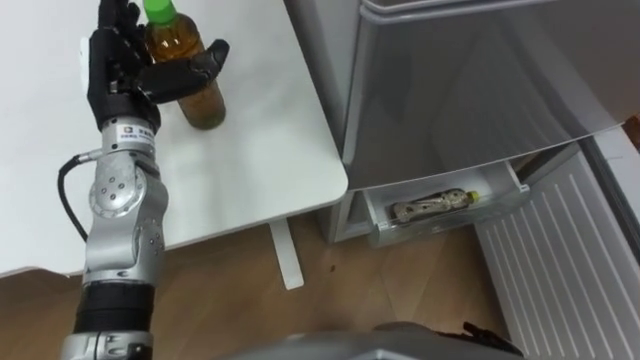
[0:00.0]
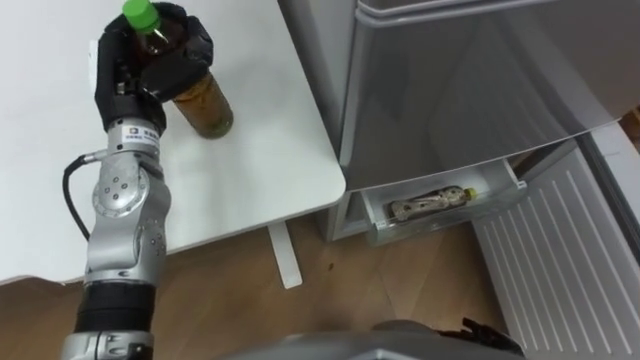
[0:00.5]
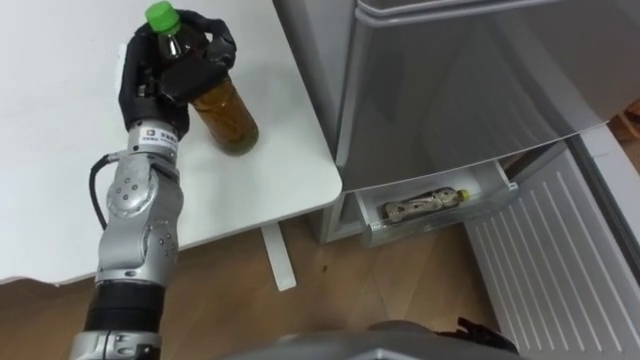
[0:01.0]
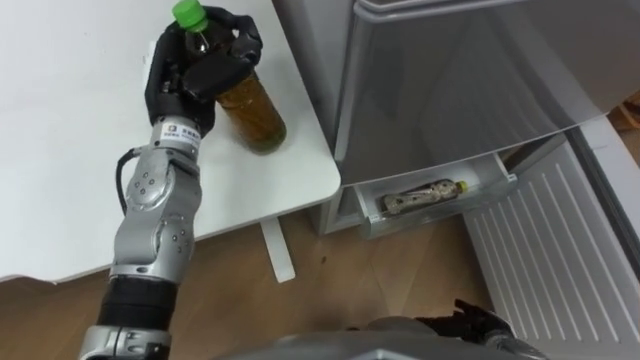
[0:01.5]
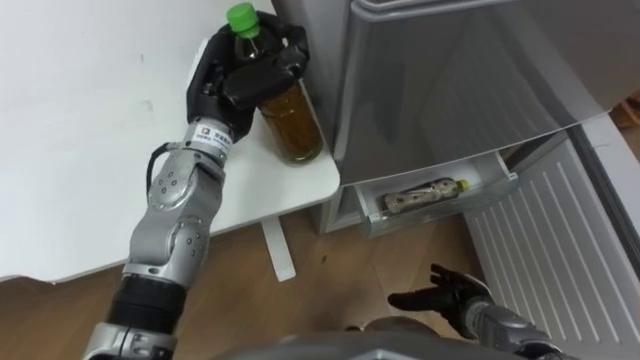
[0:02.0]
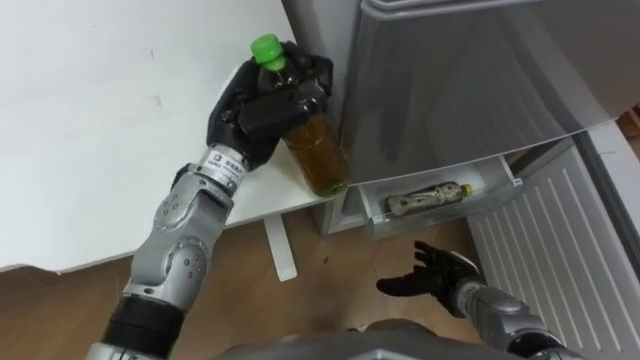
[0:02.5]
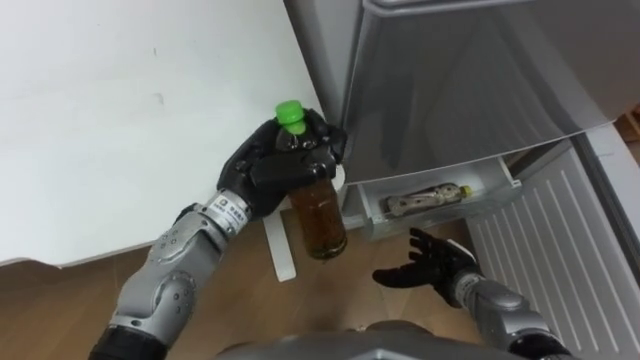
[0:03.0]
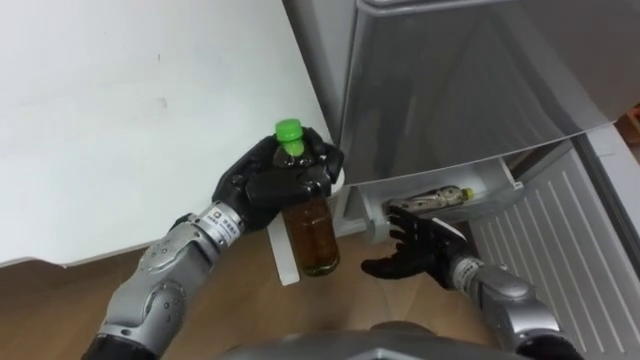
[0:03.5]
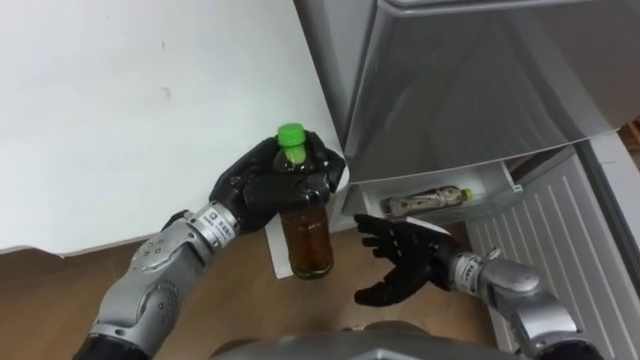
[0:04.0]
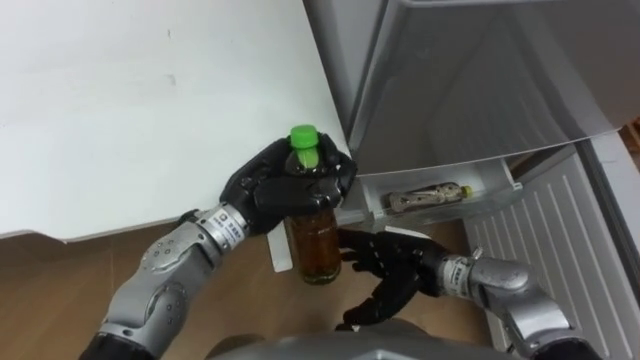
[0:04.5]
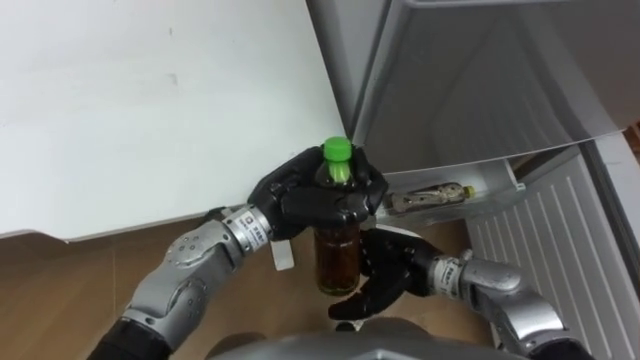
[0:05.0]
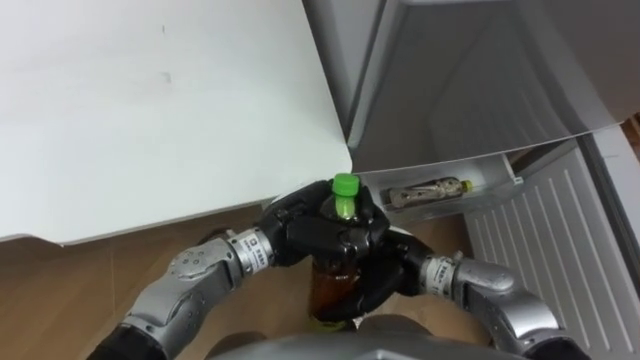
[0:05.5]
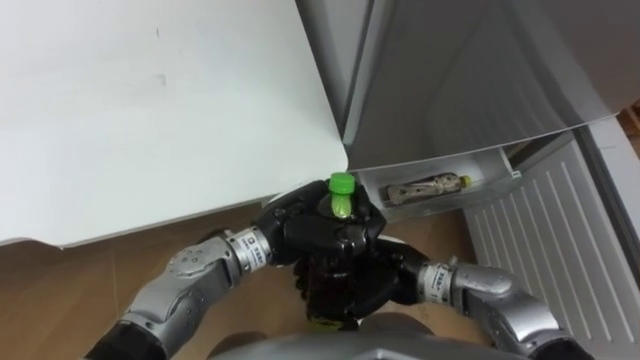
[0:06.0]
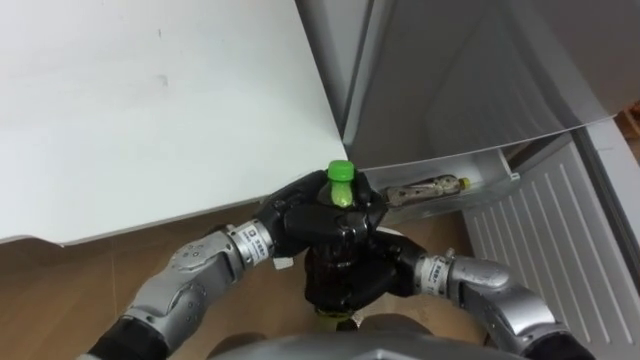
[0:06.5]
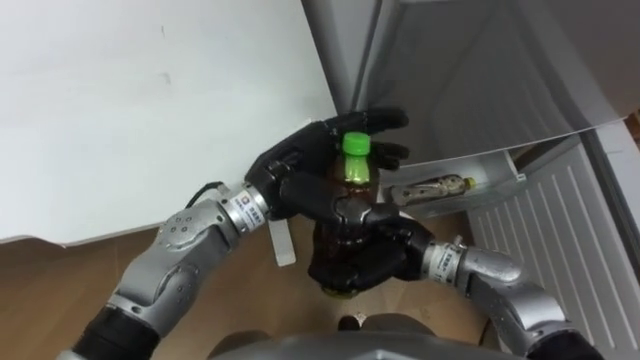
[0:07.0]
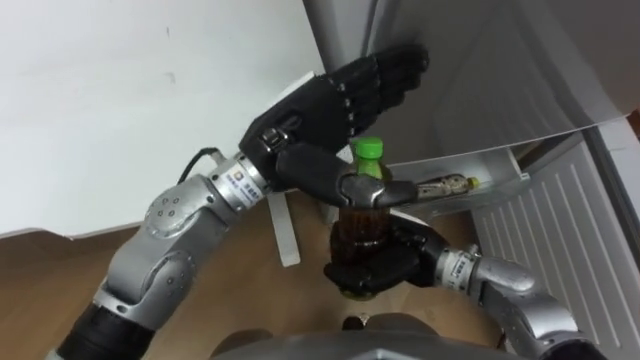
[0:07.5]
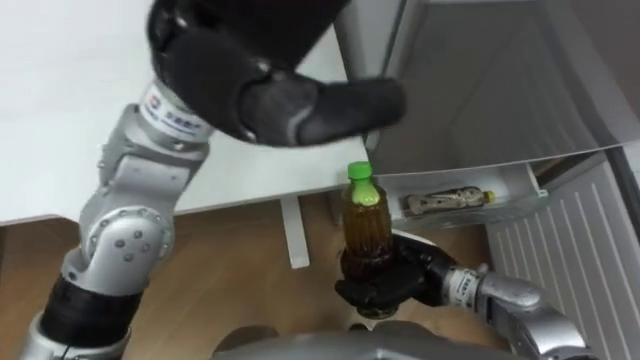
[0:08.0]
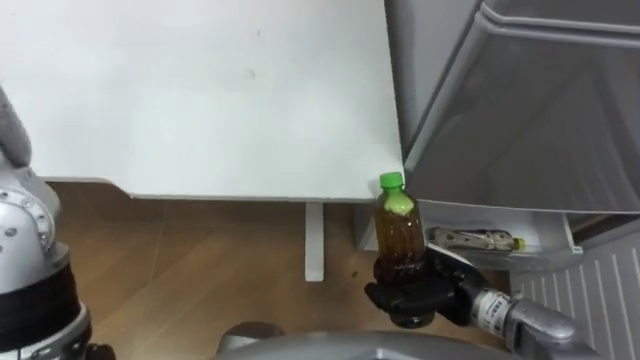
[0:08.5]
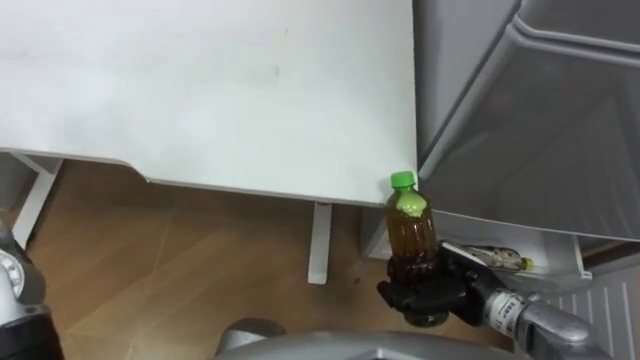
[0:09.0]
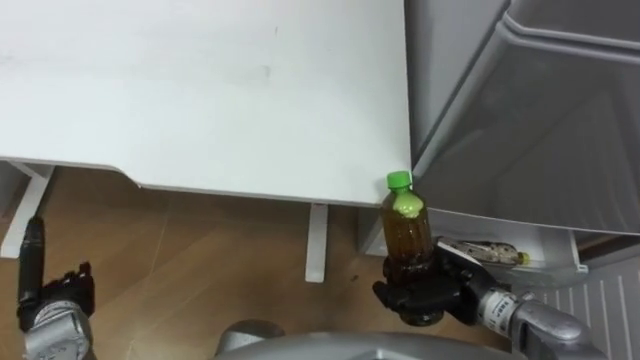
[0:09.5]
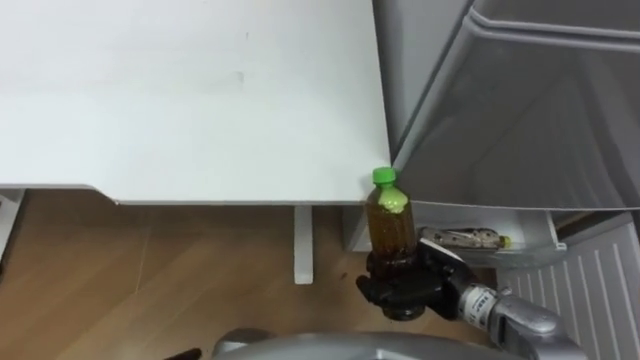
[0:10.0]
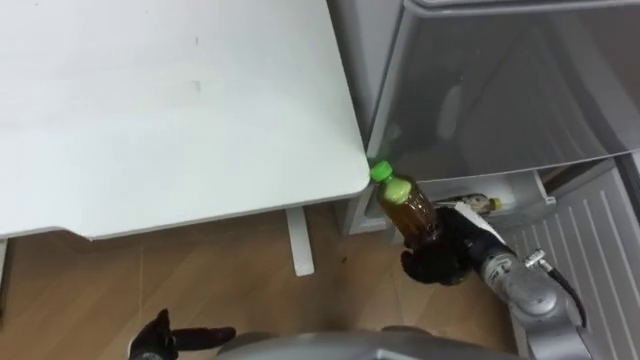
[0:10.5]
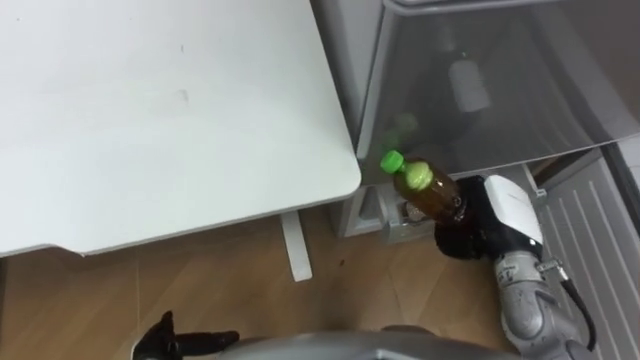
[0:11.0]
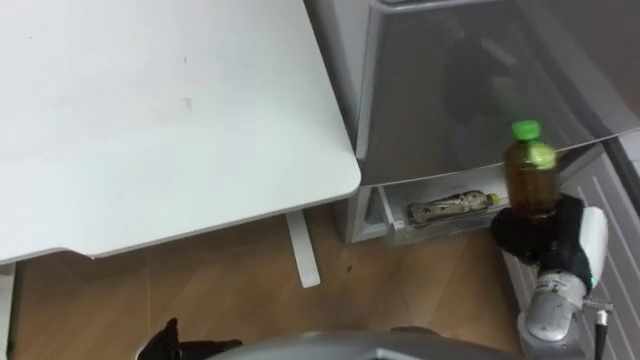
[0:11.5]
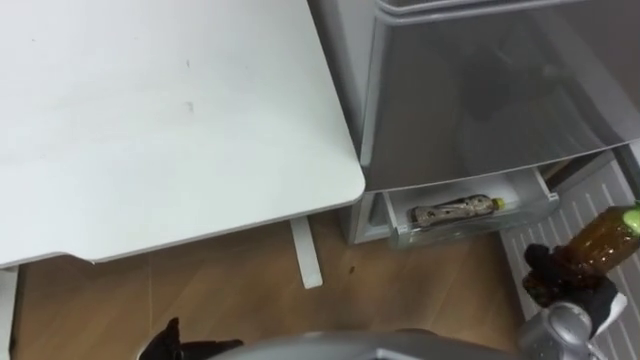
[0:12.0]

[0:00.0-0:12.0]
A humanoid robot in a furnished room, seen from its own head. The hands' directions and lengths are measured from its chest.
Task of the whole recording: Place the drink on the table on the bottom shelf of the refrigerator, then close the drawer and the refrigerator door.
0:00.0 to 0:02.0: The left hand heads to the right, covering some 10 cm, and closes its fingers.
0:02.0 to 0:04.0: The right hand heads upward, to the left and forward, covering roughly 15 cm; the left hand is displaced backward and downward by roughly 10 cm.
0:04.0 to 0:06.0: The right hand goes some 5 cm to the left, and closes. Meanwhile the left hand travels to the right by roughly 5 cm.
0:06.0 to 0:08.0: The left hand heads upward, covering roughly 30 cm, and opens.
0:10.0 to 0:12.0: The right hand travels to the right by about 20 cm.

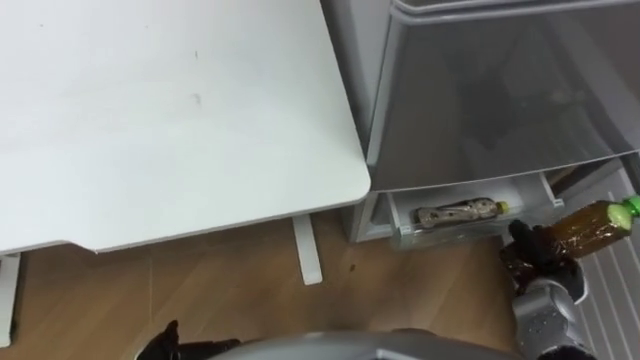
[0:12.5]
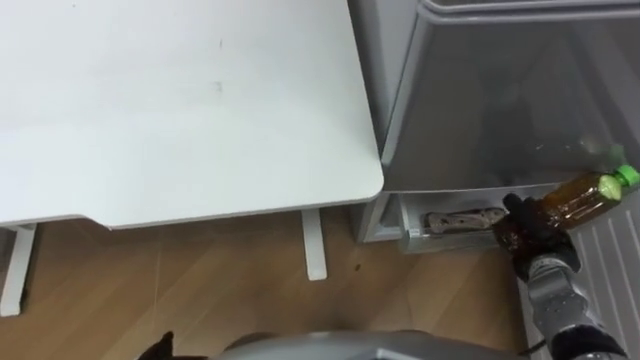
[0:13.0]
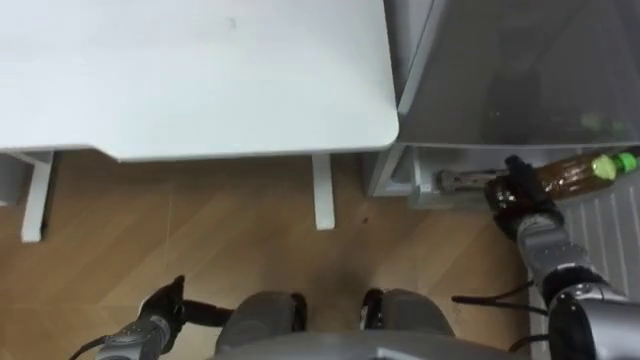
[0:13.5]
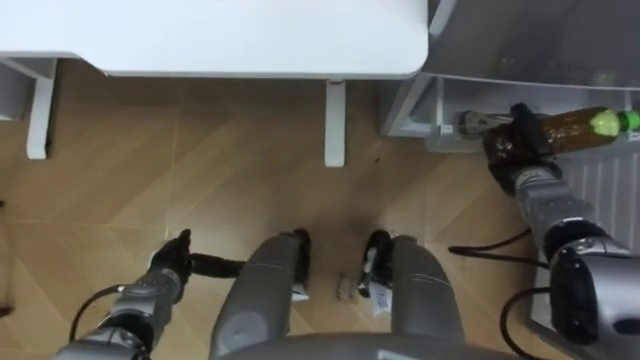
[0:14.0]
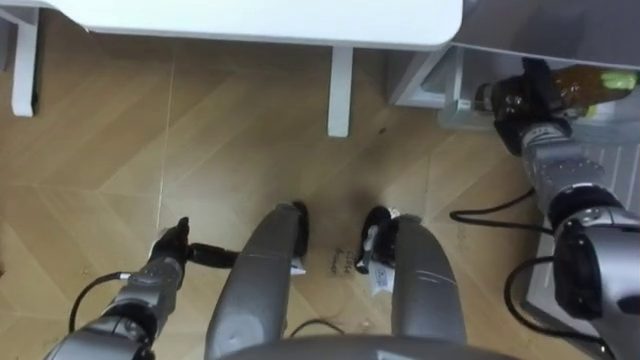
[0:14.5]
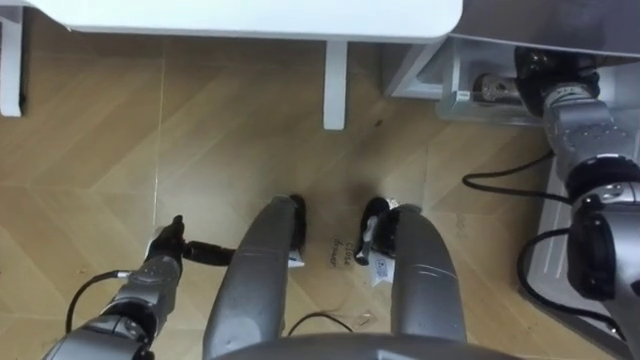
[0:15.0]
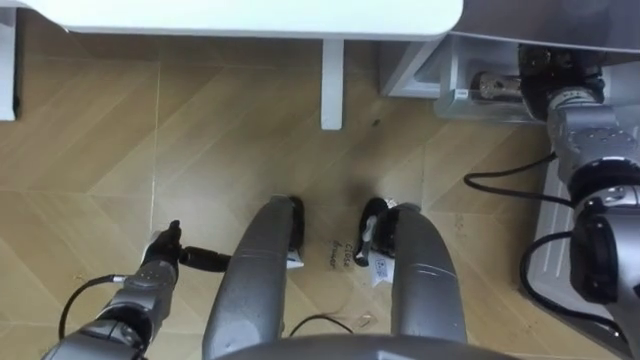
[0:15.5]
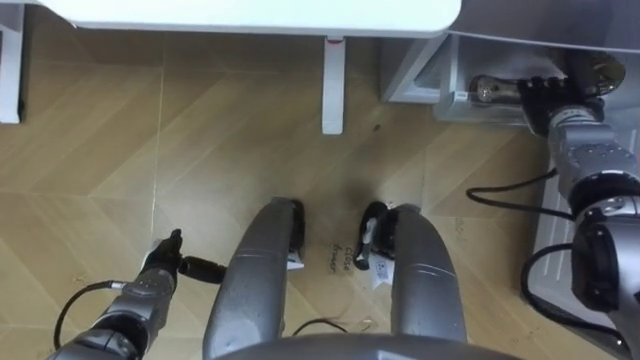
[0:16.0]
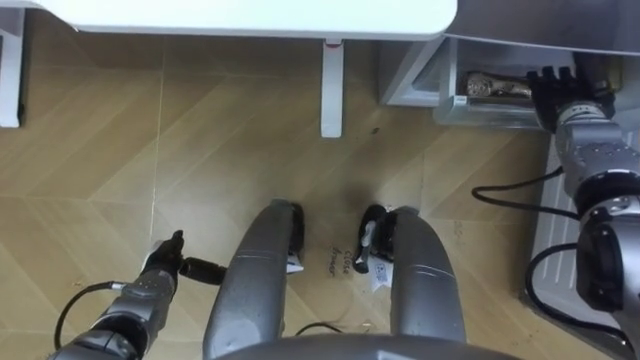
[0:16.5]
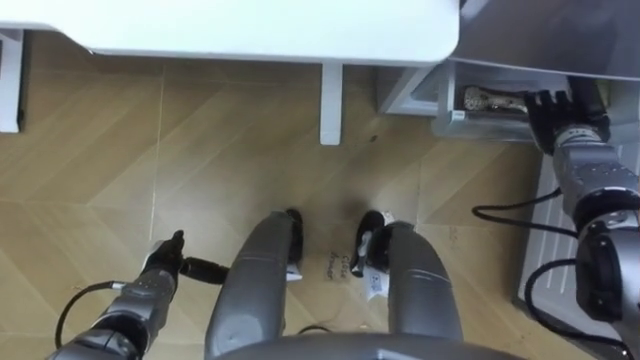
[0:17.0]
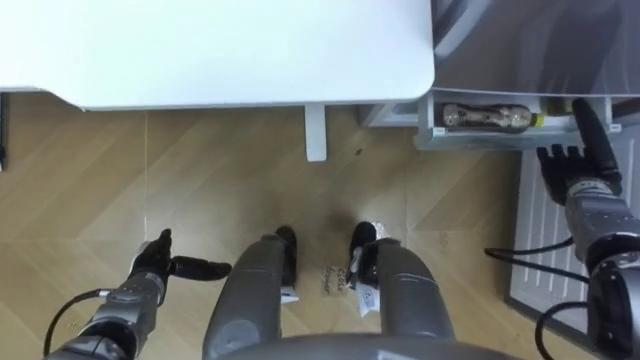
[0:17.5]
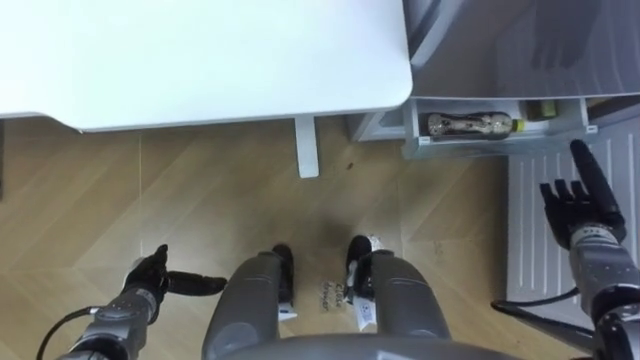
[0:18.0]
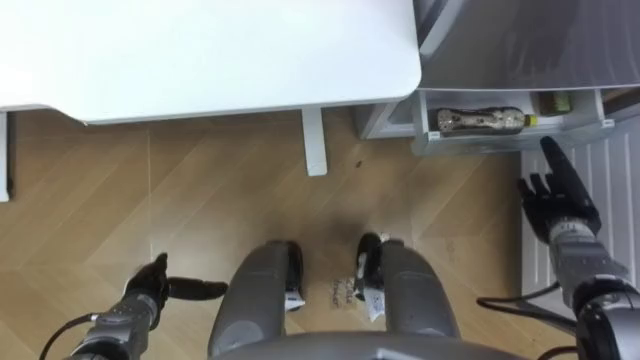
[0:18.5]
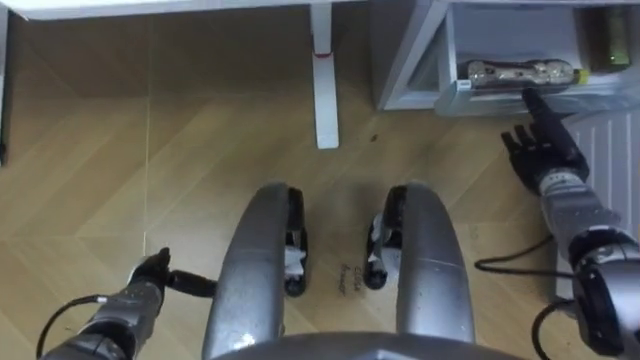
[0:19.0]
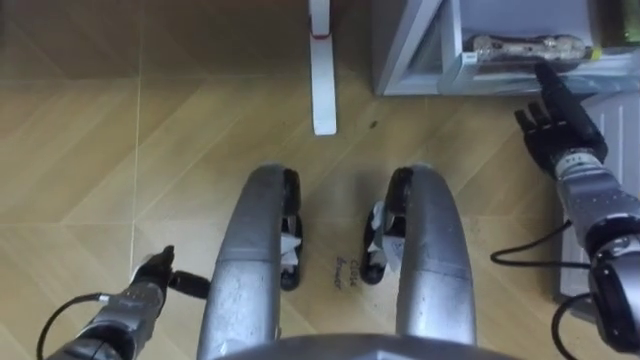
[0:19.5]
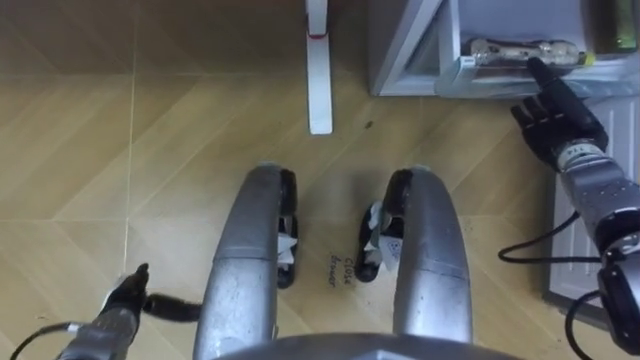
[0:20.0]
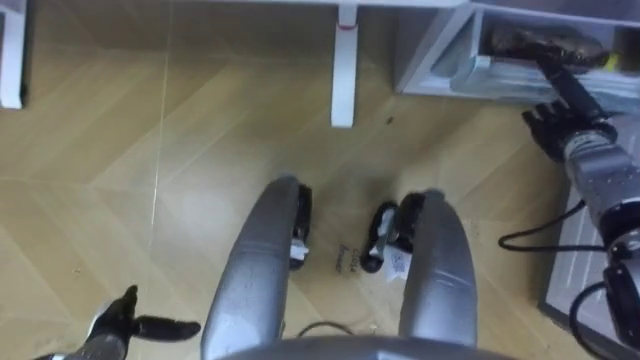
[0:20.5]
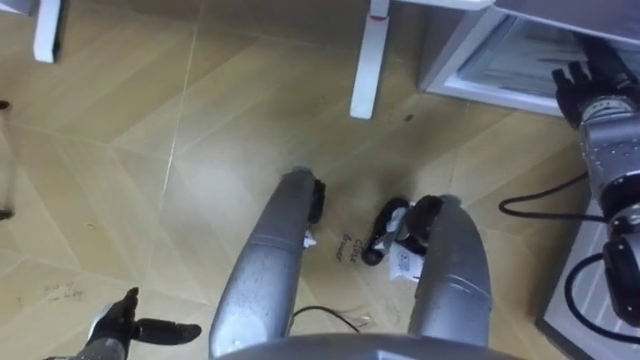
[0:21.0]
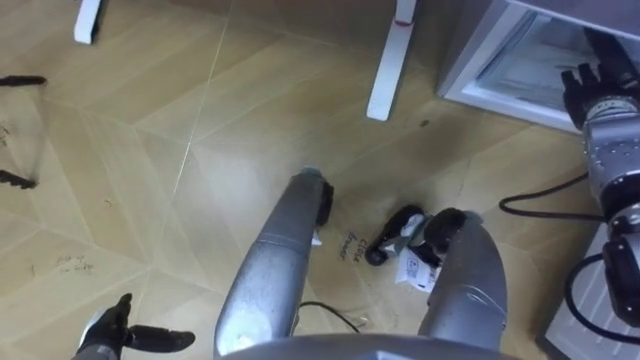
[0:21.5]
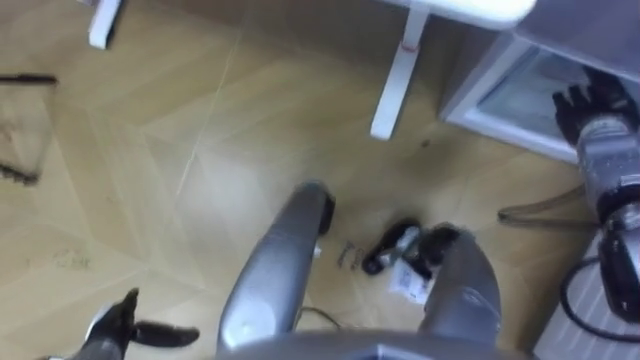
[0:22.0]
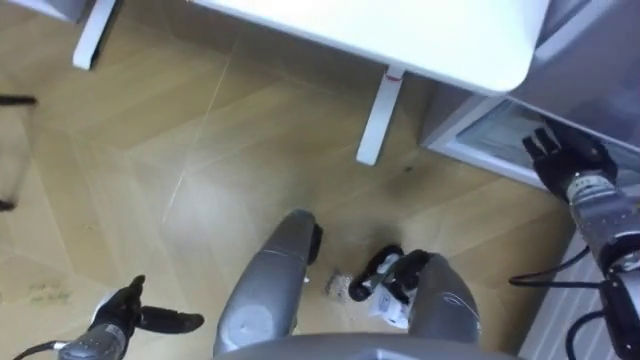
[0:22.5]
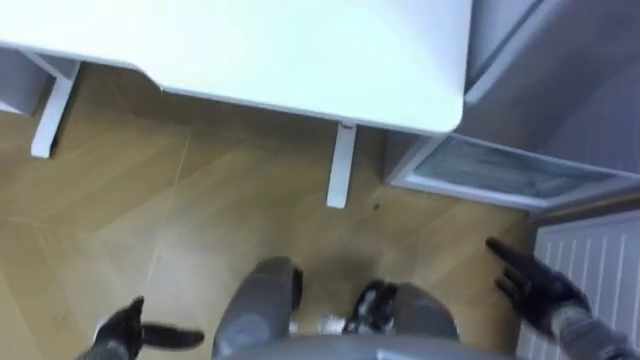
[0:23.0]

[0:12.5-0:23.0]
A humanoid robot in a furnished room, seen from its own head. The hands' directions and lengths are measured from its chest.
Task of the whole recording: Place the drink on the table on the bottom shelf of the refrigerator, then close the drawer and the refrigerator door.
0:12.5 to 0:14.5: The right hand is displaced forward and upward by about 25 cm.
0:14.5 to 0:16.5: The right hand moves roughly 5 cm, and opens up.
0:16.5 to 0:19.0: The right hand moves downward and backward, about 10 cm.
0:19.0 to 0:21.0: The left hand travels backward by roughly 10 cm, while the right hand travels upward and forward by about 10 cm.
0:21.0 to 0:23.0: The right hand heads backward and downward, covering approximately 30 cm.
